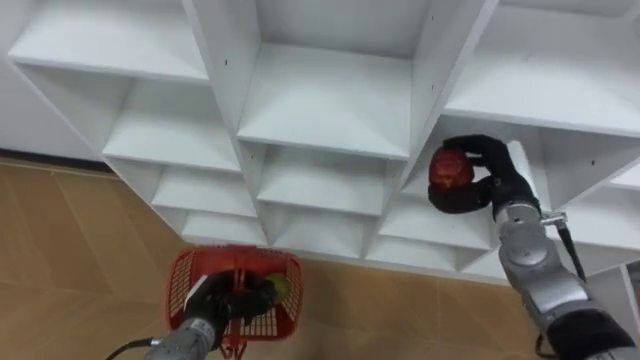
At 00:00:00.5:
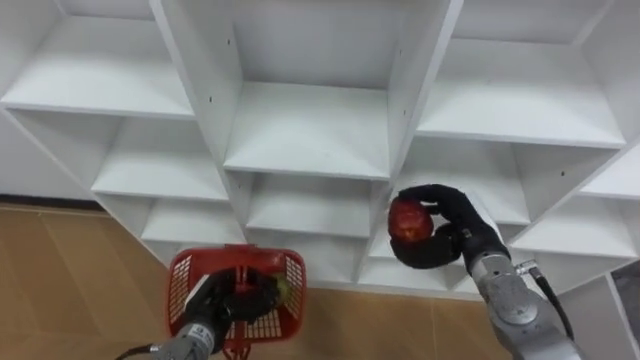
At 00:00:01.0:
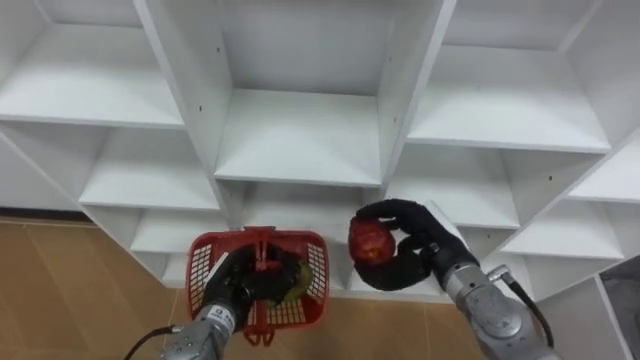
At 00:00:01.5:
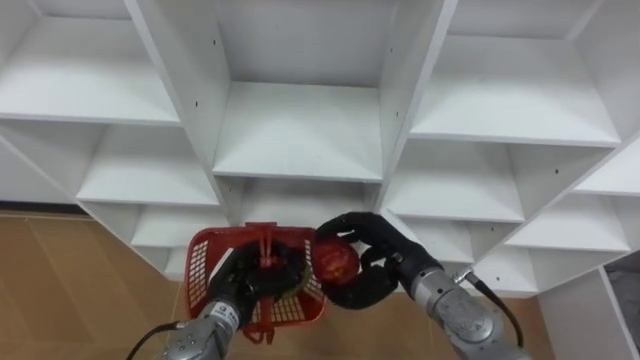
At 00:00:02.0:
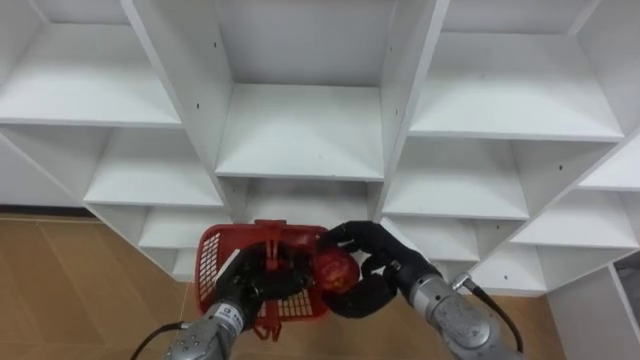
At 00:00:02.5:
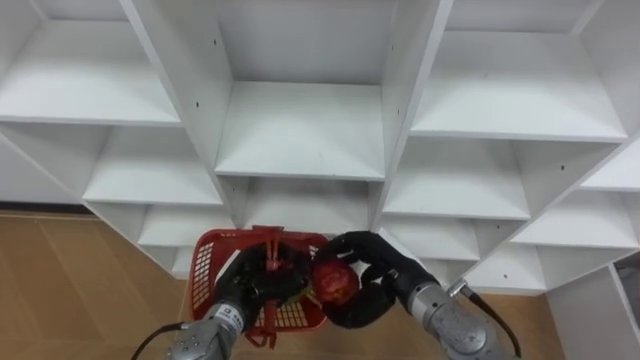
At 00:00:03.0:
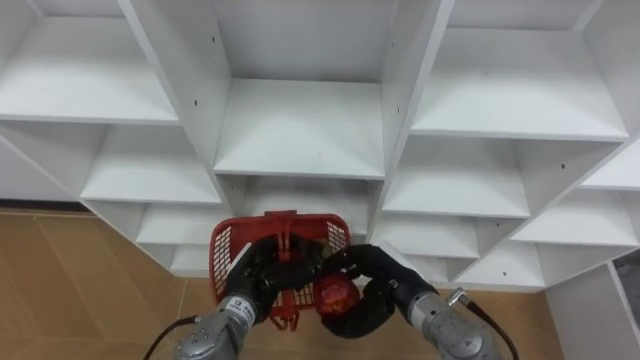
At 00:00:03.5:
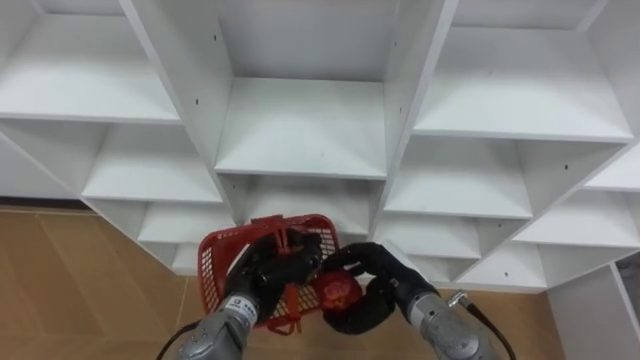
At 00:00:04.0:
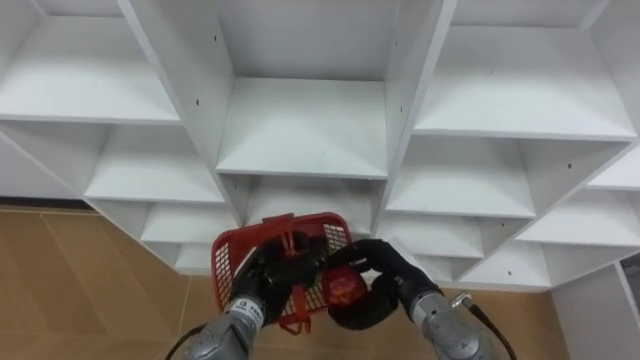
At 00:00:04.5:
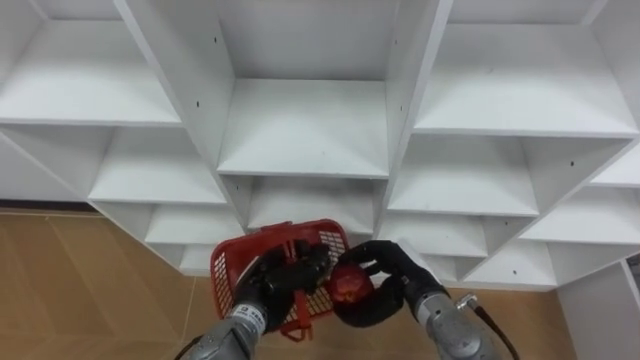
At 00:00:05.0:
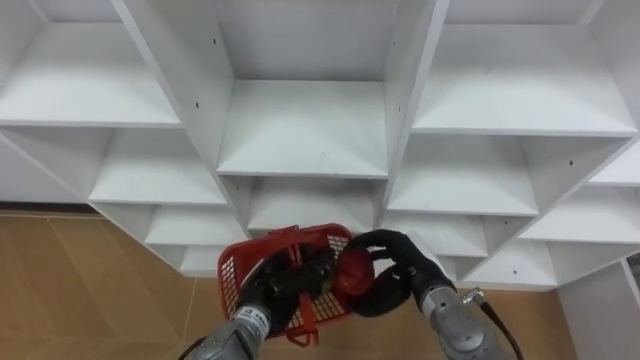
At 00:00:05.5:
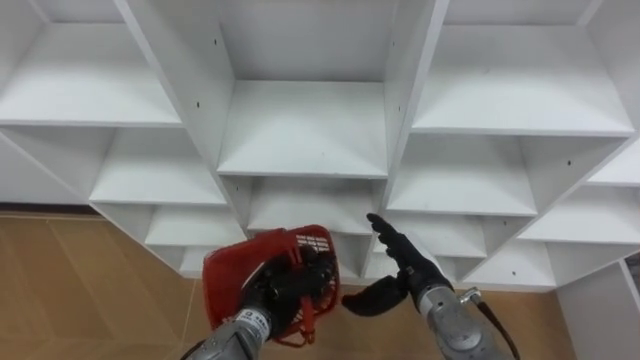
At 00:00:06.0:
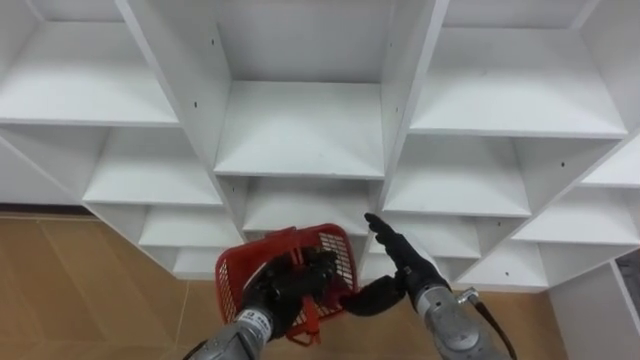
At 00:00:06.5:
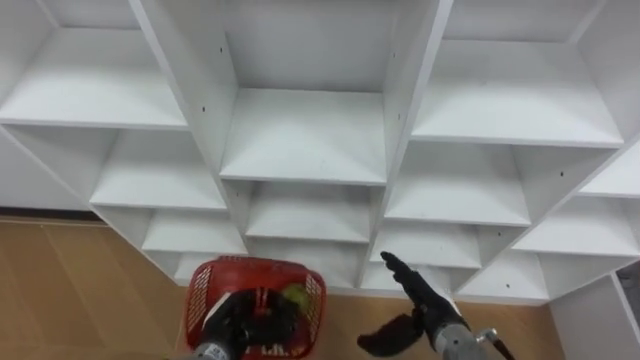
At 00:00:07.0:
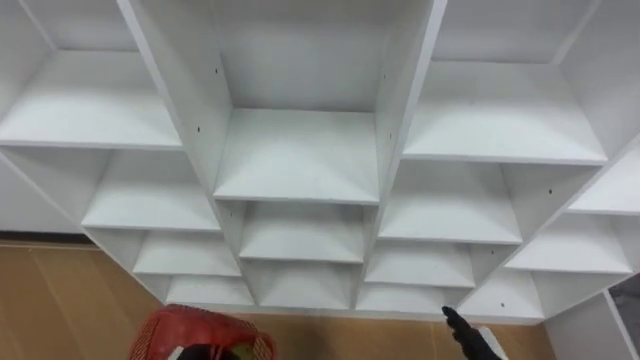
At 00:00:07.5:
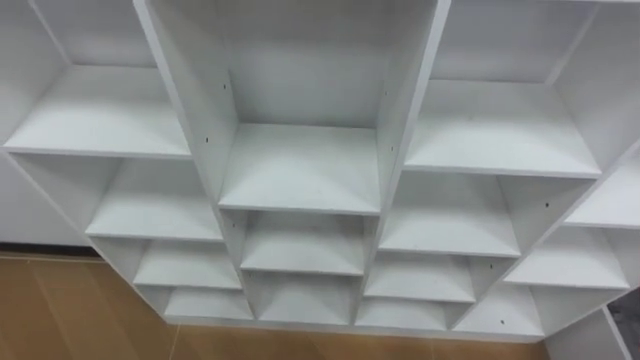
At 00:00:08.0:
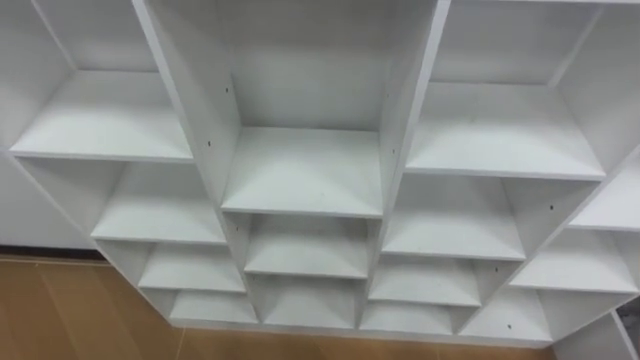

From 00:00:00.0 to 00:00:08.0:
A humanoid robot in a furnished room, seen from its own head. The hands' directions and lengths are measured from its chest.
Task of the whole recording: Hold the basket and collect the fruits from 3 different cells of the closet into it.
From 00:00:00.0 to 00:00:02.0: The left hand heads to the right, covering some 5 cm. The right hand heads to the left and backward, covering approximately 20 cm.
From 00:00:02.0 to 00:00:04.0: There are only small adjustments of the hands.
From 00:00:04.0 to 00:00:06.0: The right hand opens.

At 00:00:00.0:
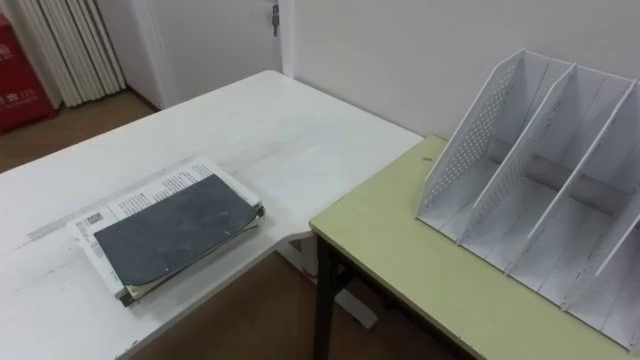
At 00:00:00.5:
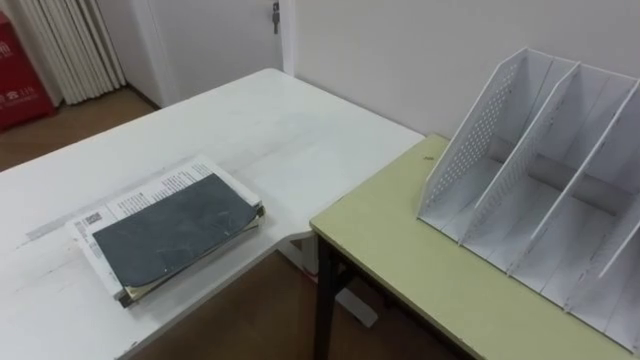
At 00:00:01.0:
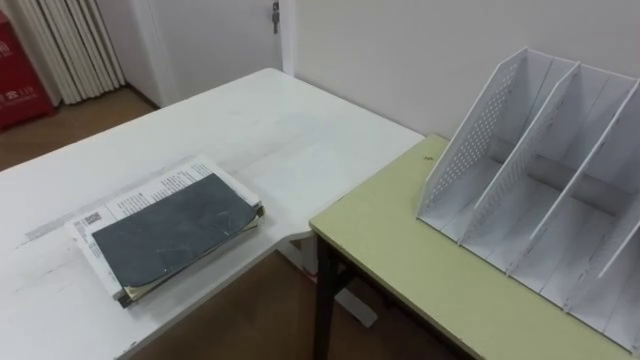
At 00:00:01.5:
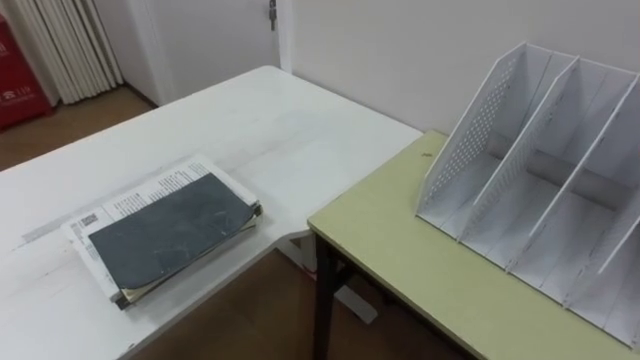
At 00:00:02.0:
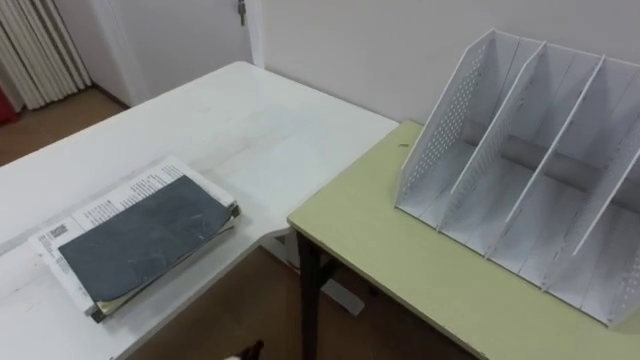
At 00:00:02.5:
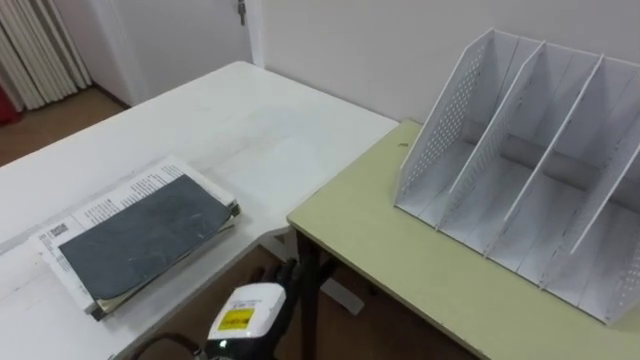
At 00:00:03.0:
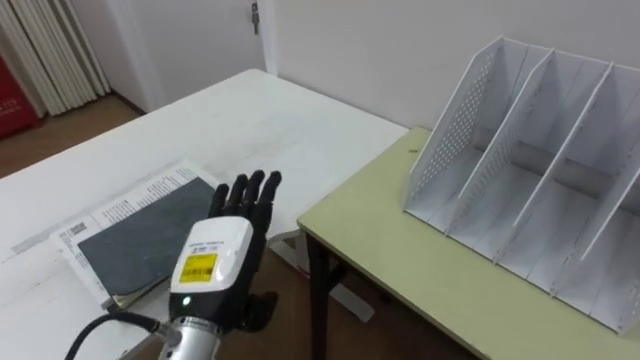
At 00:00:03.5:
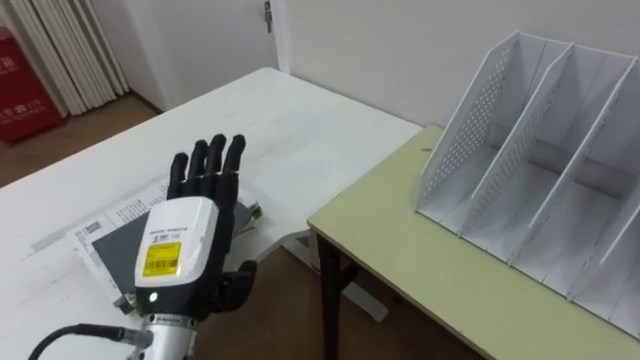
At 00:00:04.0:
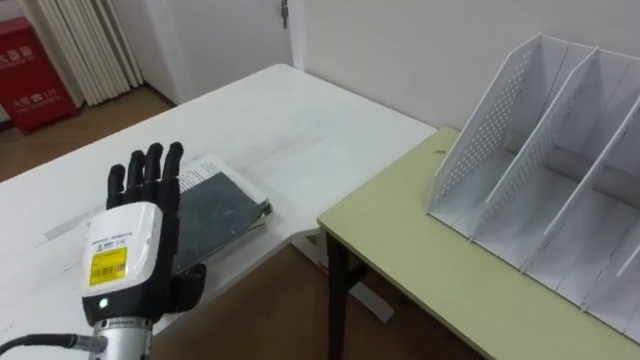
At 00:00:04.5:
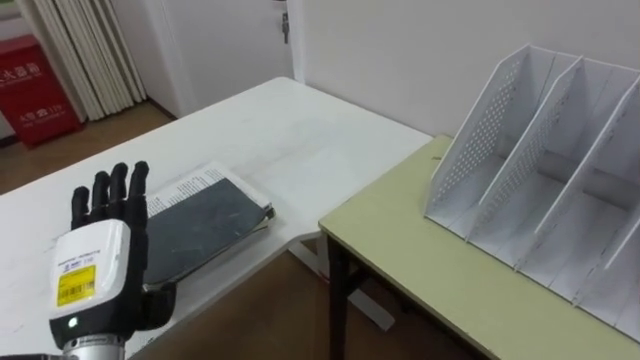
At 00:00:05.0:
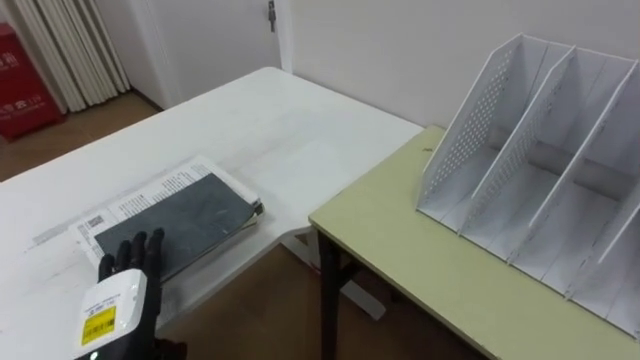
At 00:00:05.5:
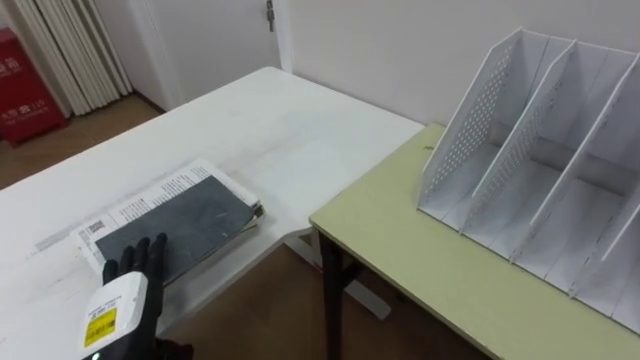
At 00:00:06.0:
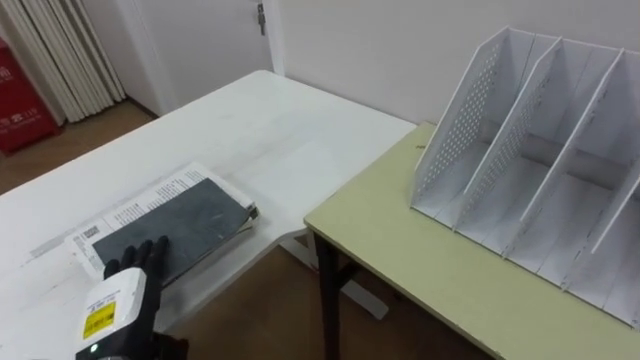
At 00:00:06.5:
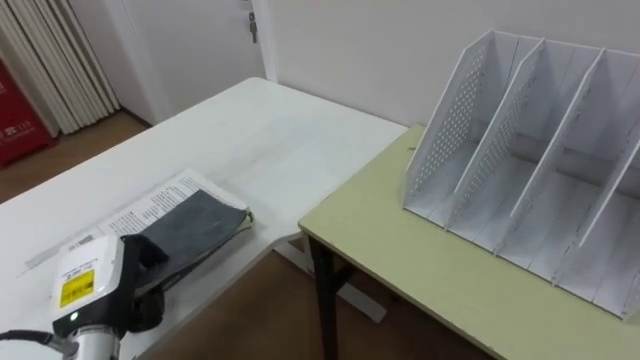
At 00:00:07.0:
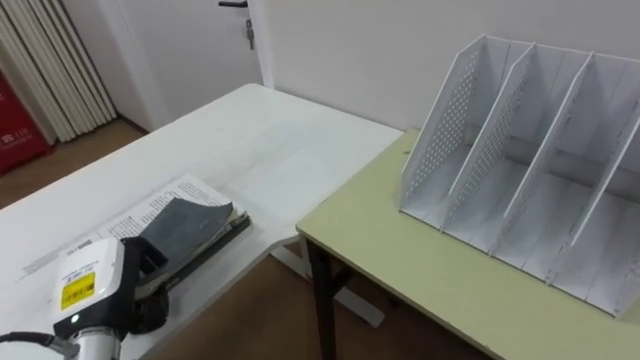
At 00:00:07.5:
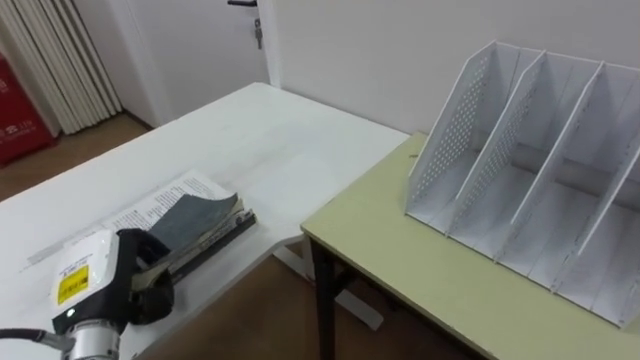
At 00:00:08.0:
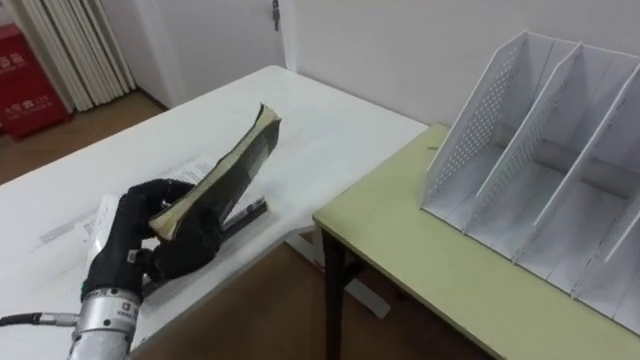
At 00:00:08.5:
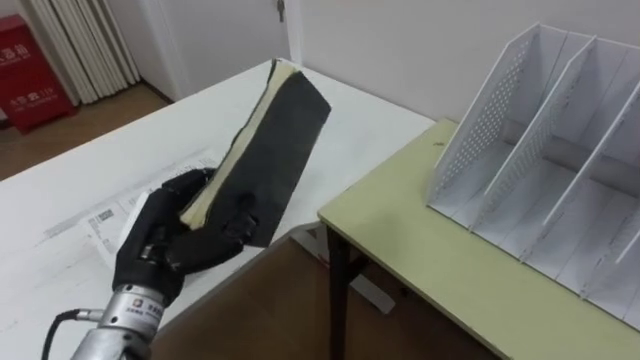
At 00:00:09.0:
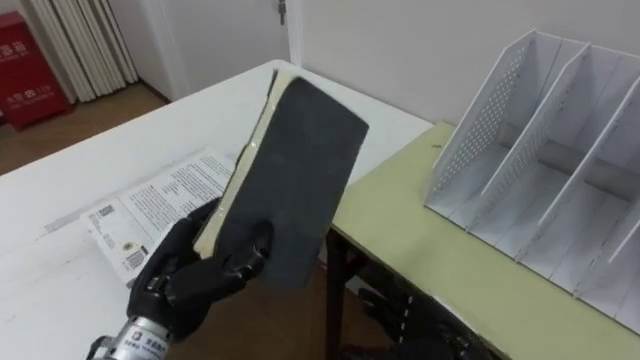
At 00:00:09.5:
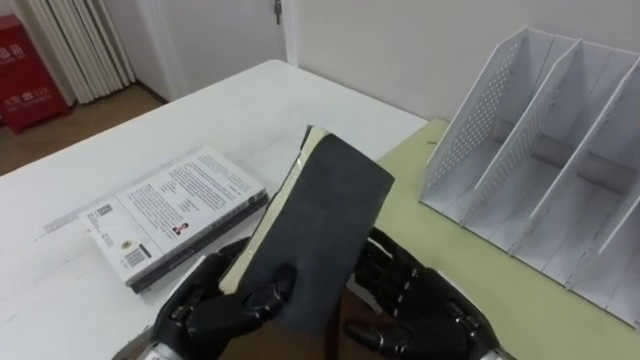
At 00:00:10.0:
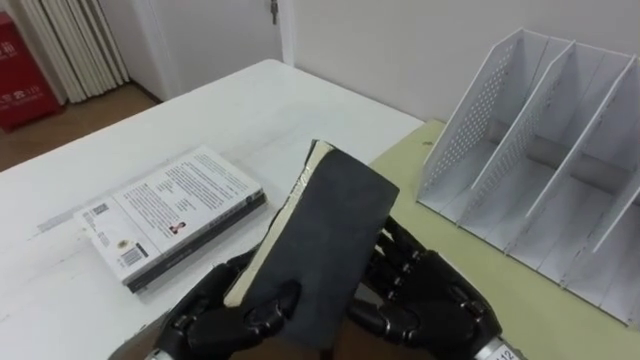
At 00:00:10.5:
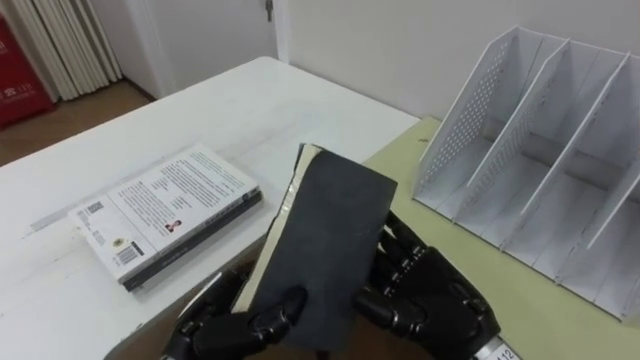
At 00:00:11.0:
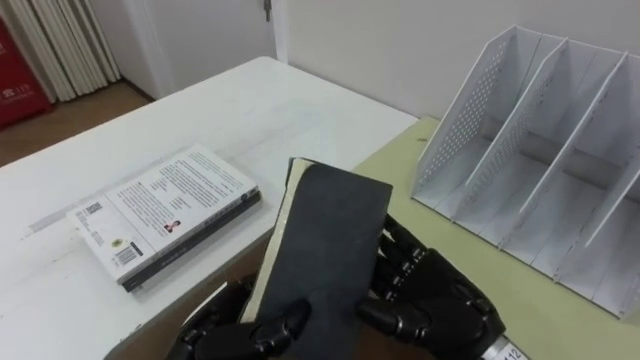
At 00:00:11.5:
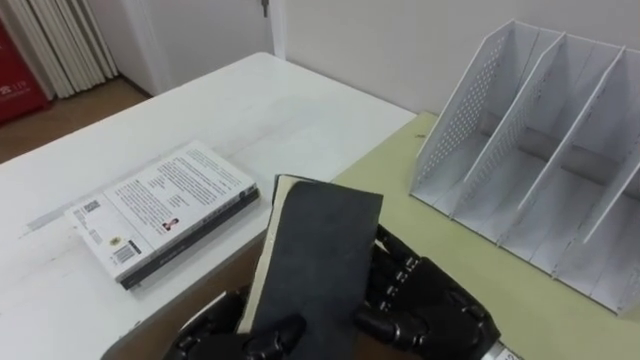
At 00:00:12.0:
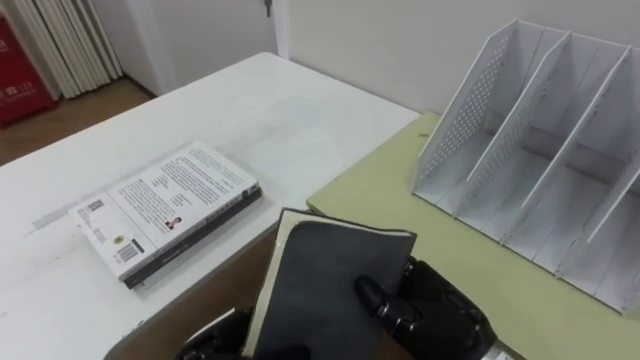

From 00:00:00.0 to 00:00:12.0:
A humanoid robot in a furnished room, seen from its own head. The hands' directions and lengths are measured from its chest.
Task of the whole recording: Put the books on the table onto the bookshelf.
From 00:00:04.0 to 00:00:06.0: The left hand shifts some 10 cm downward.
From 00:00:06.0 to 00:00:08.0: The left hand is displaced upward by roughly 10 cm, and closes up.
From 00:00:08.0 to 00:00:10.0: The left hand shifts some 10 cm to the right and downward.
From 00:00:10.0 to 00:00:12.0: The right hand closes. The left hand changes place by roughly 5 cm.
